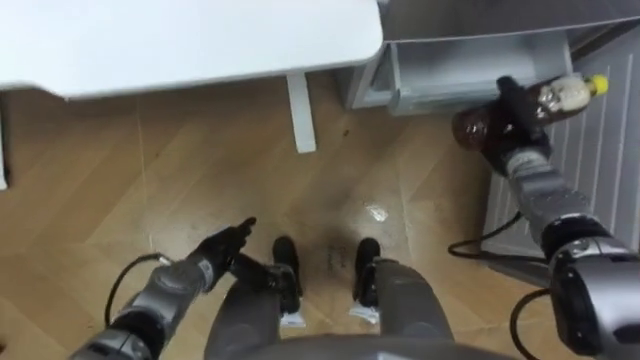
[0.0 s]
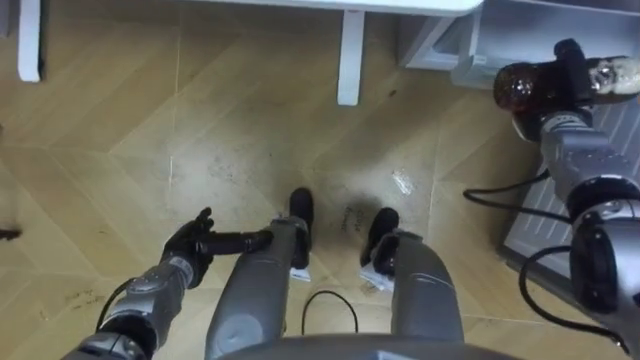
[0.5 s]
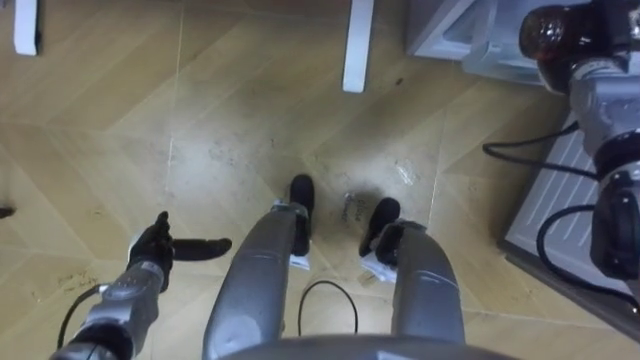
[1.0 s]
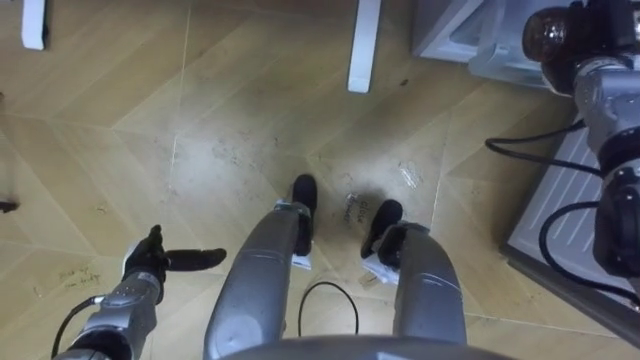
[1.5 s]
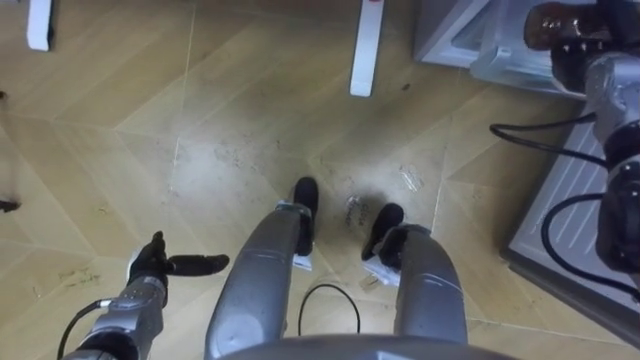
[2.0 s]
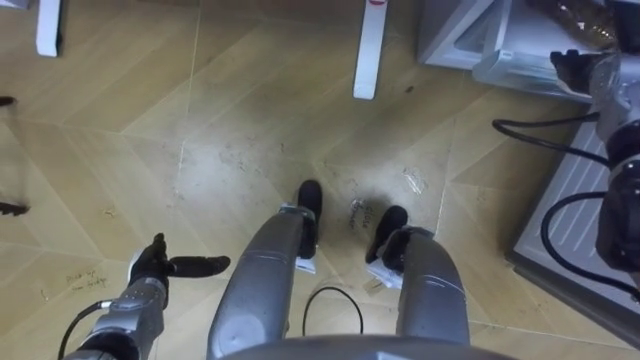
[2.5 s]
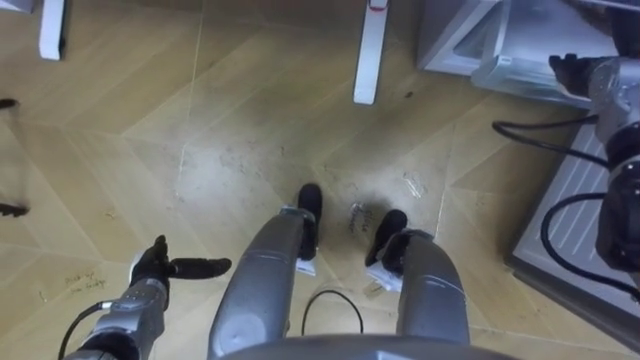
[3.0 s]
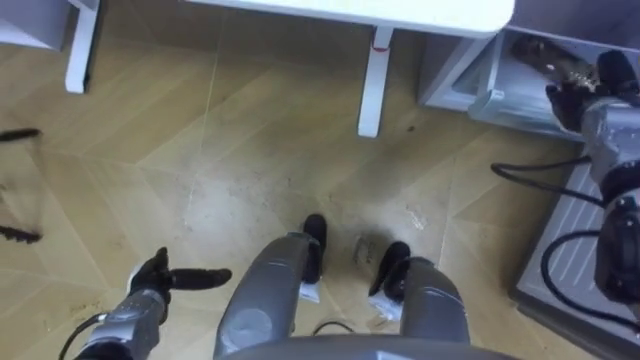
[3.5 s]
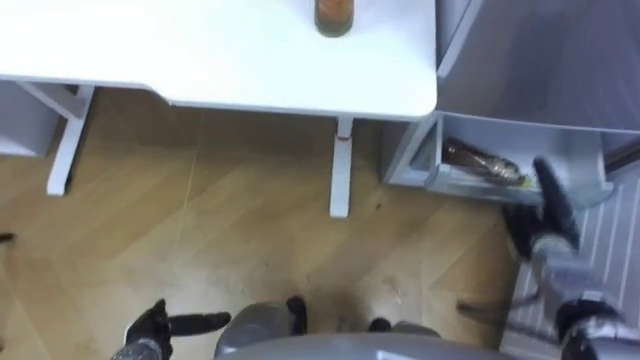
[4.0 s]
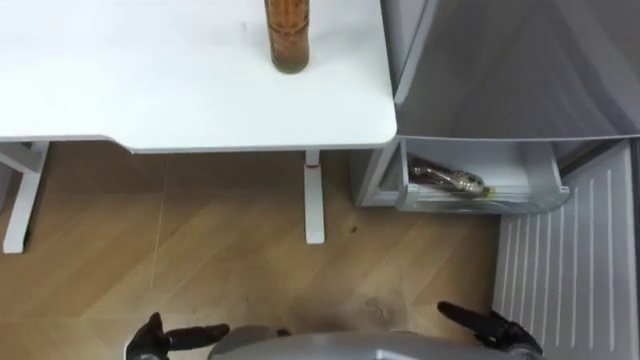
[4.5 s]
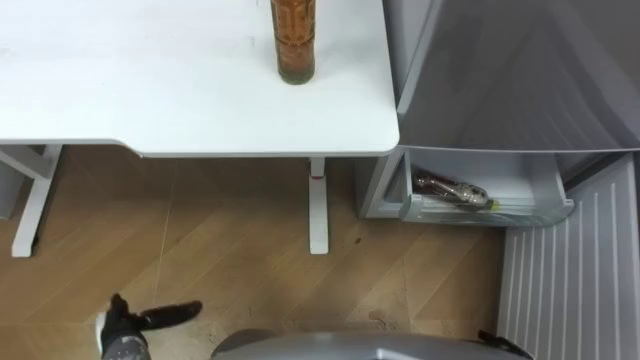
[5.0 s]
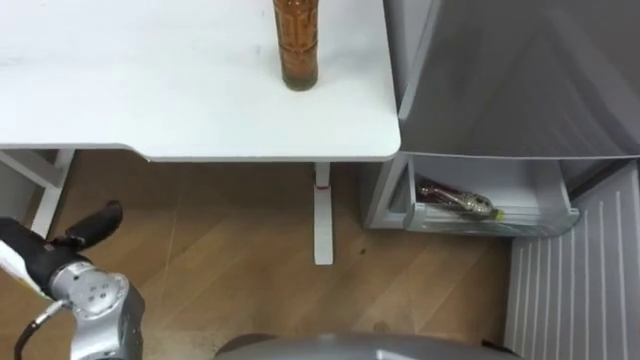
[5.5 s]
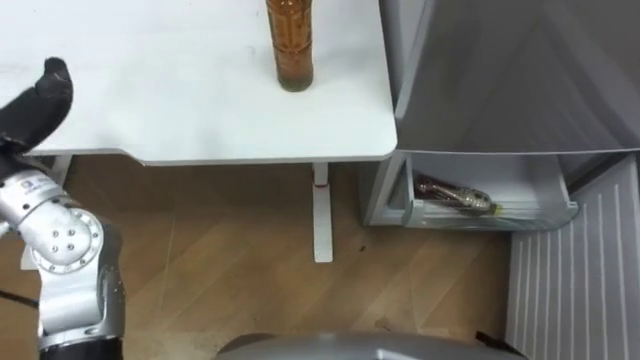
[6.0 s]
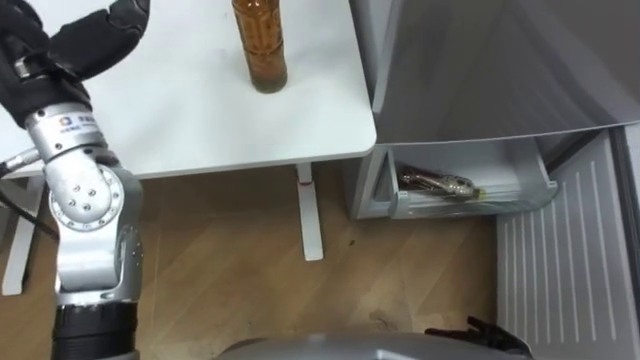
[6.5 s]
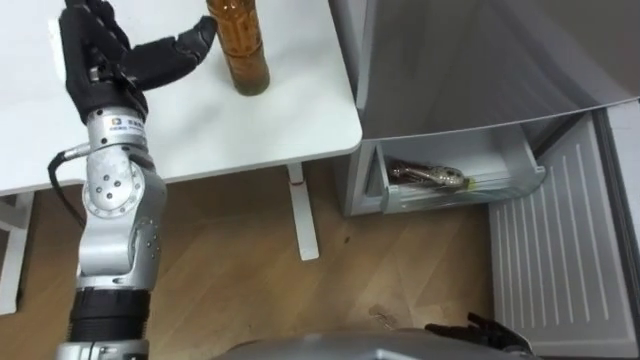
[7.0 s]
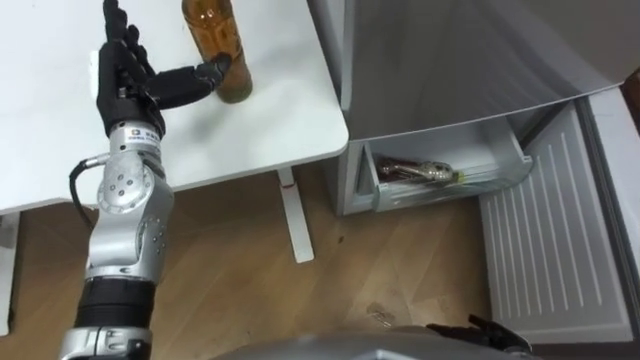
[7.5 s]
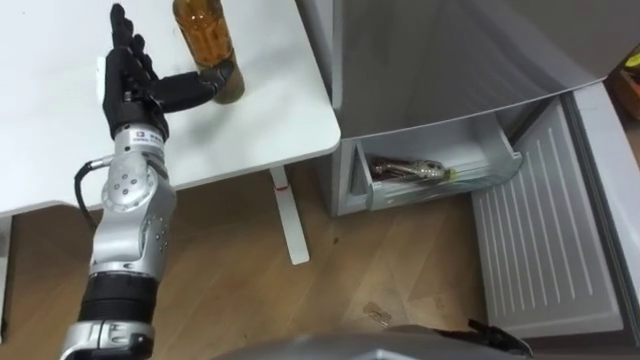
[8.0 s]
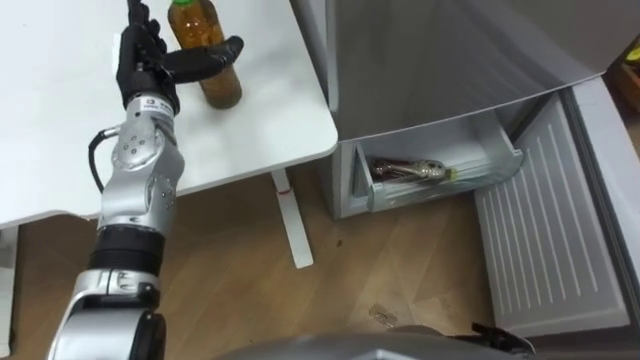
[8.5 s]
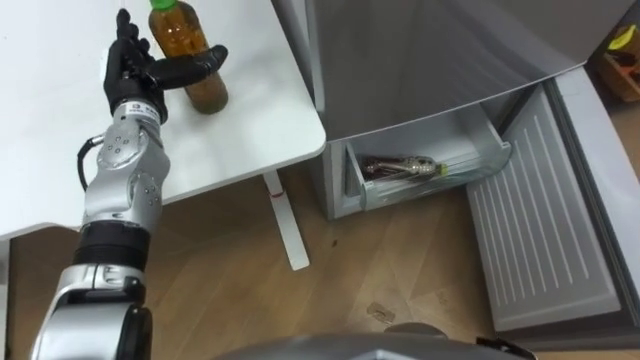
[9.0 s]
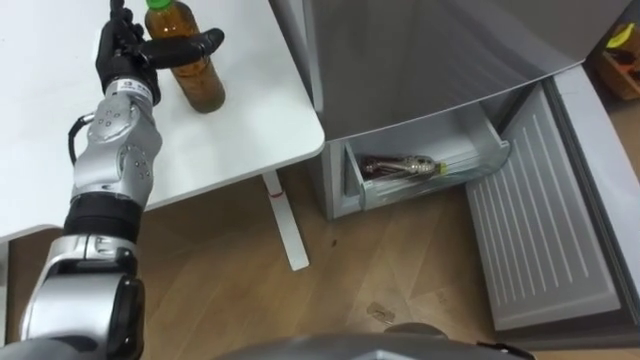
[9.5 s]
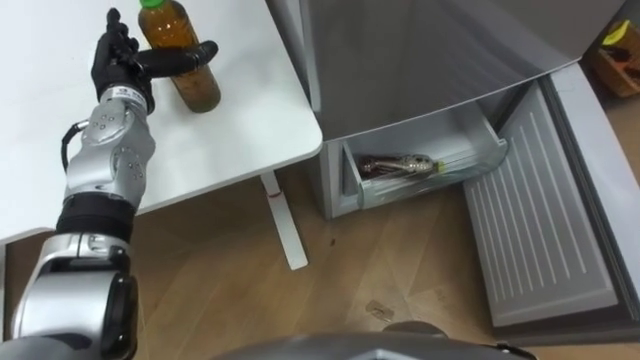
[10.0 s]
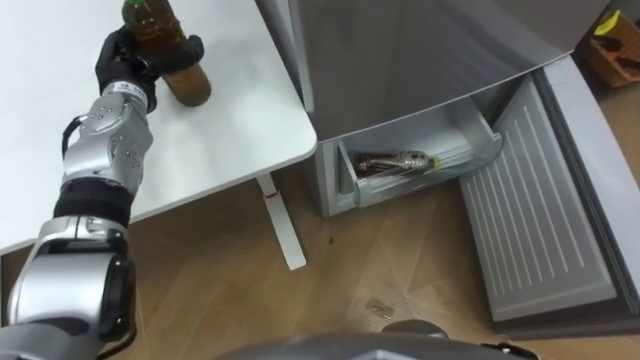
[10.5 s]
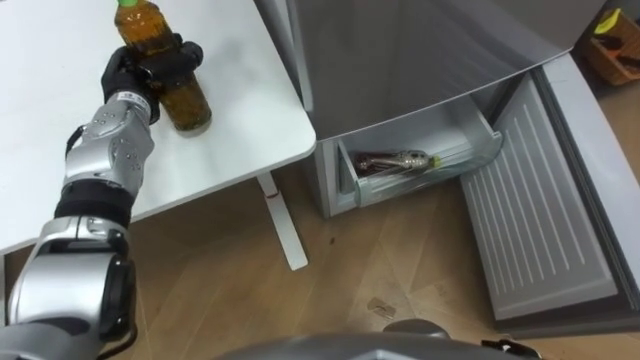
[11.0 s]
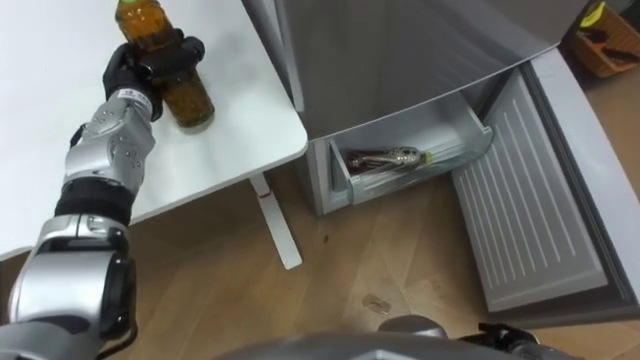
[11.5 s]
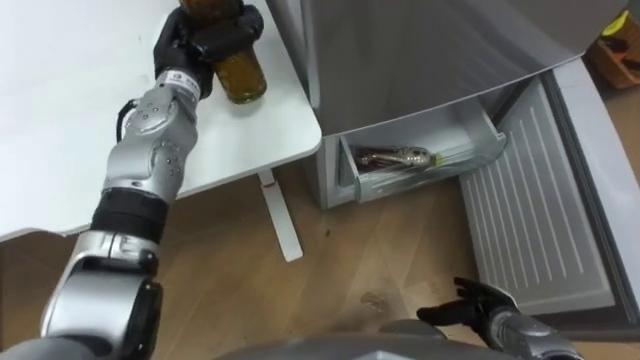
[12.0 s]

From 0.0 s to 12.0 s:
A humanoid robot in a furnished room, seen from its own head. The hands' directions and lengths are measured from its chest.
Task of the whole recording: Place the drink on the table on the bottom shelf of the refrigerator, then close the drawer and the refrigerator door.
From 0.0 s to 2.0 s: The left hand heads to the left, covering roughly 10 cm; the right hand heads upward, to the right and forward, covering approximately 15 cm, and opens up.
From 2.0 s to 4.0 s: The left hand shifts some 10 cm backward. The right hand shifts about 25 cm backward and downward.
From 8.0 s to 10.0 s: The left hand heads forward, covering roughly 5 cm.
From 10.0 s to 12.0 s: The left hand goes about 10 cm to the right, and closes up.

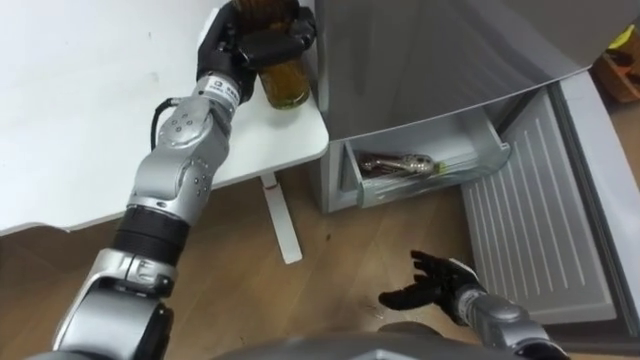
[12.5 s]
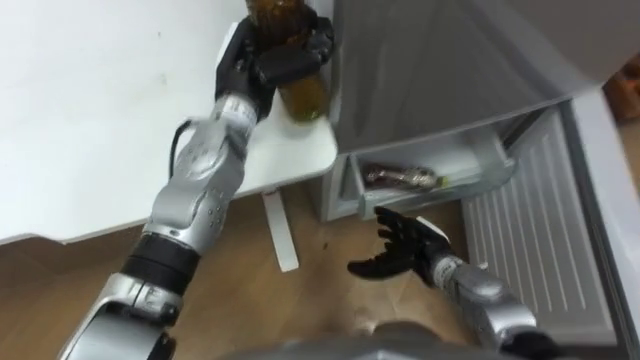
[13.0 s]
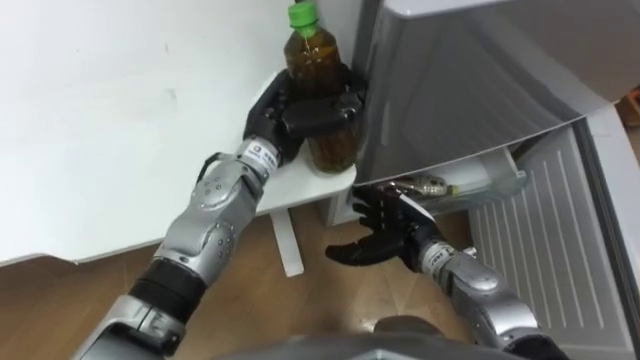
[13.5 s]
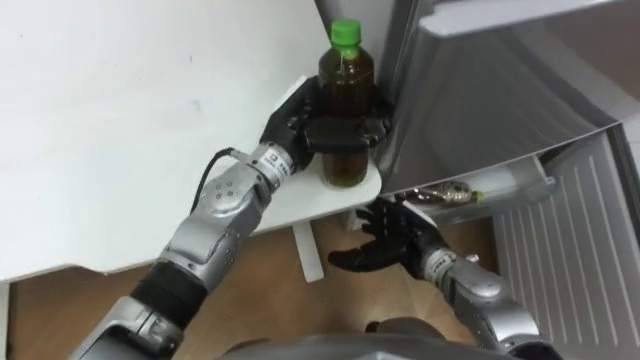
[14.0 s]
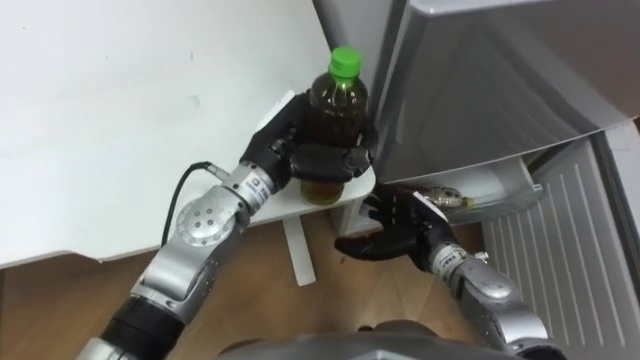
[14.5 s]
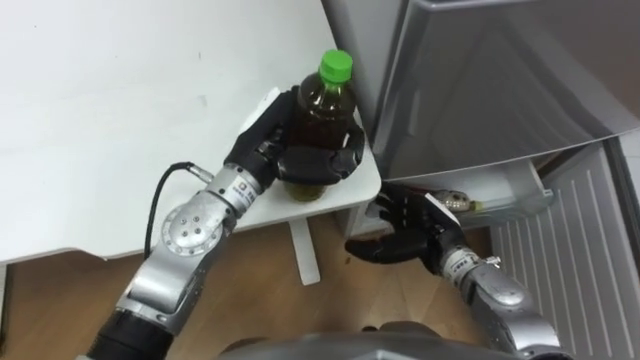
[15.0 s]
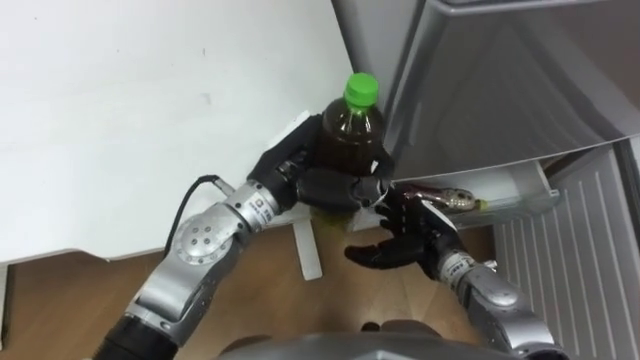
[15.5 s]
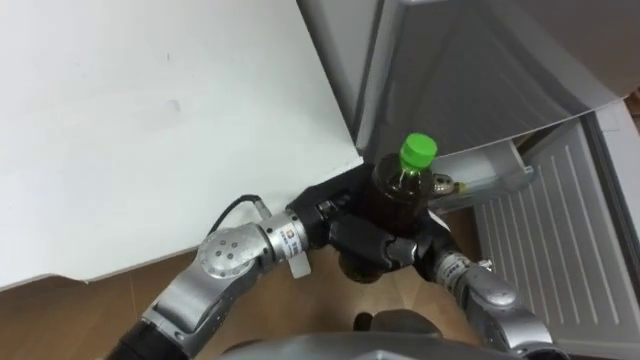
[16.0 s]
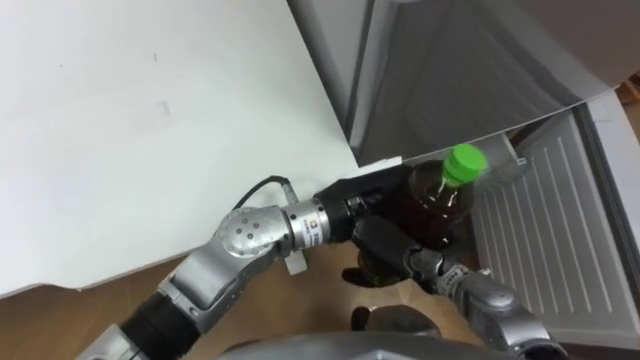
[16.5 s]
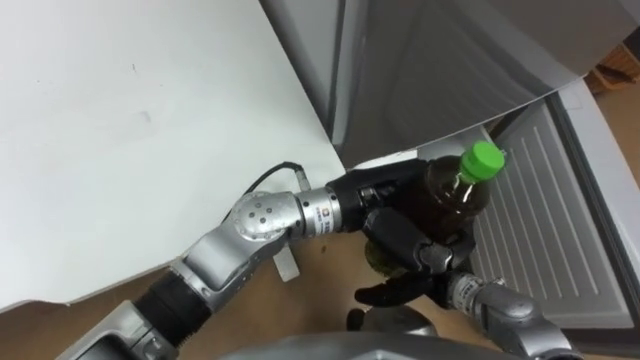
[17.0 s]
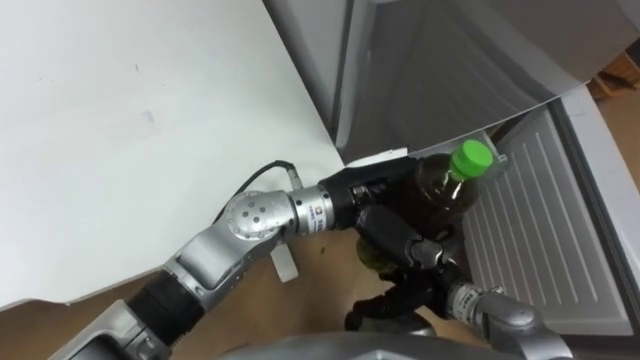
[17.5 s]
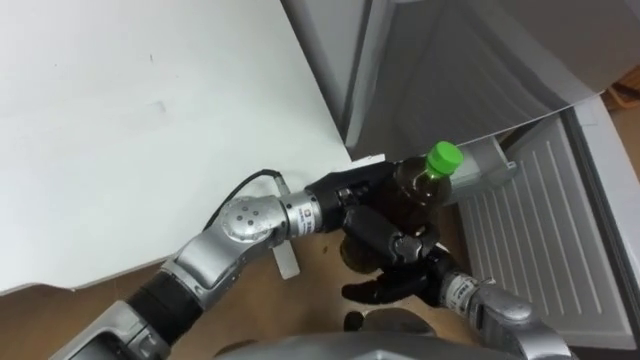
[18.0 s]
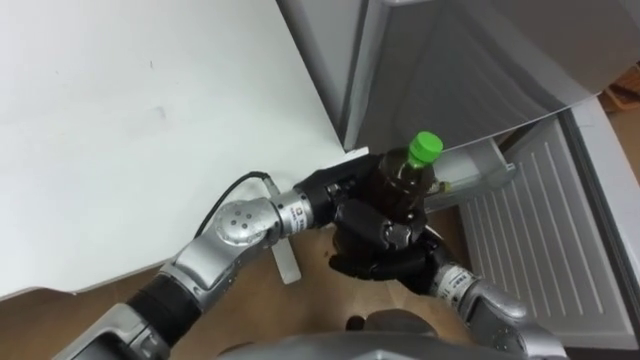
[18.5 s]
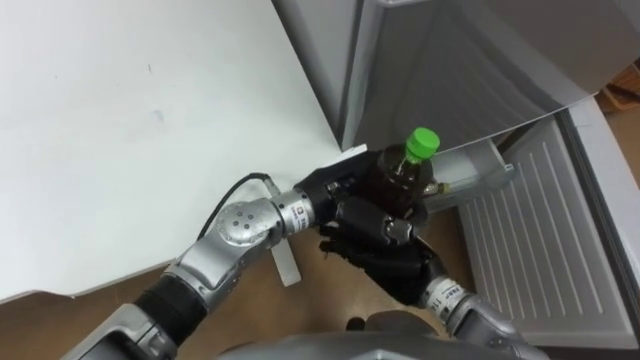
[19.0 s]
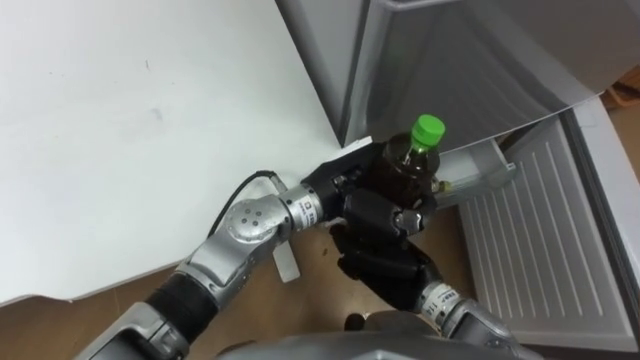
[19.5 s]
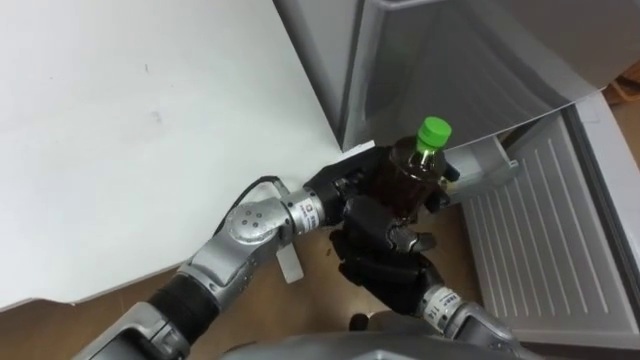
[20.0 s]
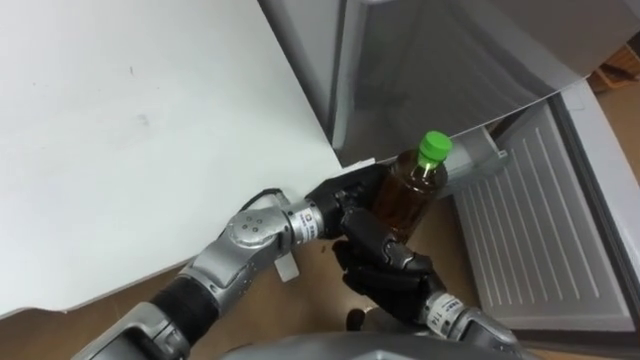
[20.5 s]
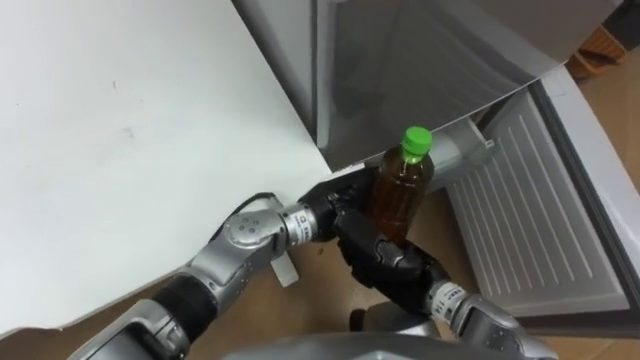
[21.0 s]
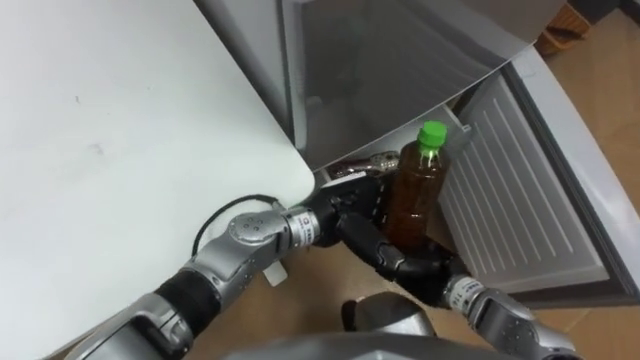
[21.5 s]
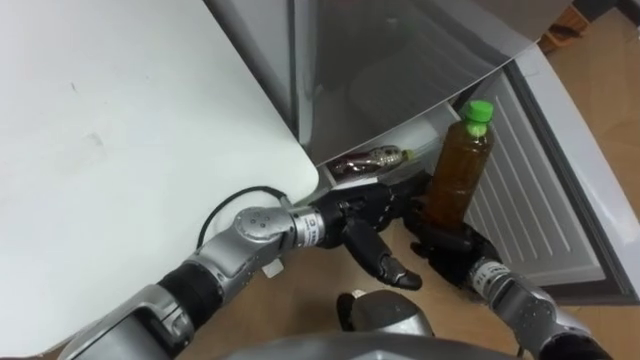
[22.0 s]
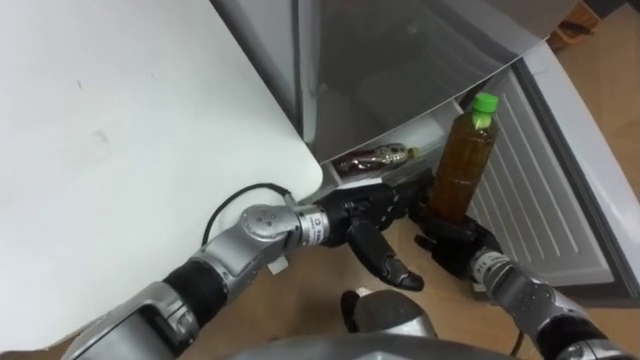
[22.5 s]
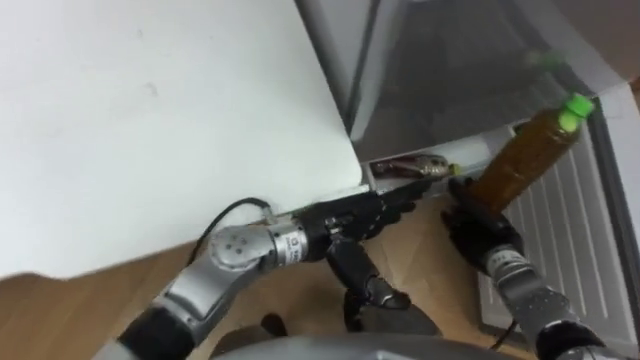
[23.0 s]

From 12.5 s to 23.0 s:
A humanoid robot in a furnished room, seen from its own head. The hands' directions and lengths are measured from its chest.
Task of the whole recording: Place the drink on the table on the bottom shelf of the refrigerator, then close the drawer and the refrigerator door.
From 12.5 s to 14.5 s: The right hand heads upward, forward and to the left, covering roughly 15 cm; the left hand heads backward and to the right, covering some 10 cm.
From 14.5 s to 16.5 s: The left hand heads to the right and backward, covering roughly 10 cm.
From 16.5 s to 19.0 s: The right hand moves roughly 5 cm, and closes its fingers. The left hand changes place by some 5 cm.
From 19.0 s to 21.0 s: The left hand opens. Meanwhile the right hand closes.
From 21.0 s to 23.0 s: The right hand heads to the right and forward, covering about 15 cm.
